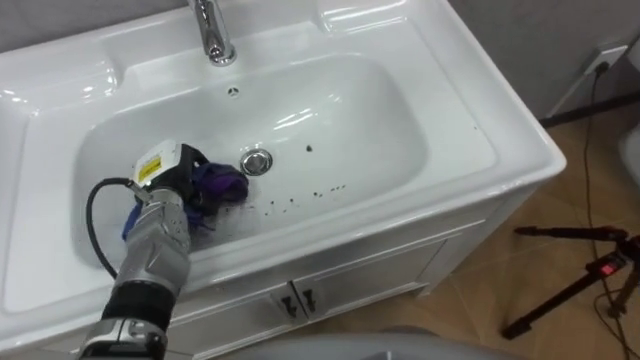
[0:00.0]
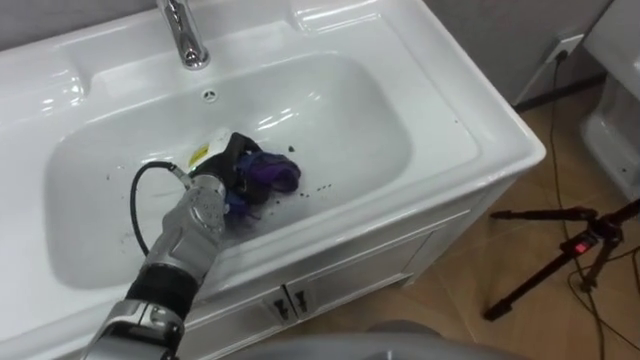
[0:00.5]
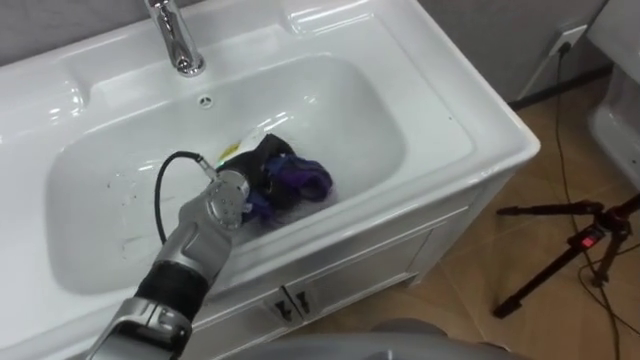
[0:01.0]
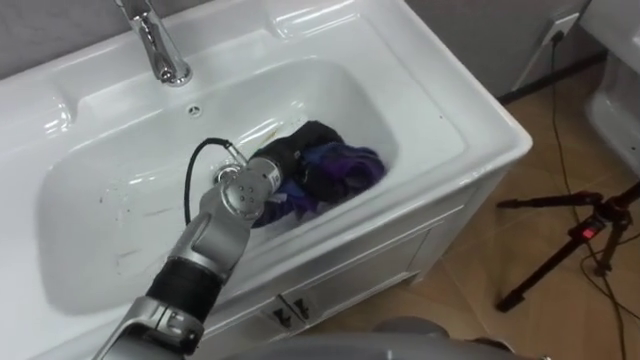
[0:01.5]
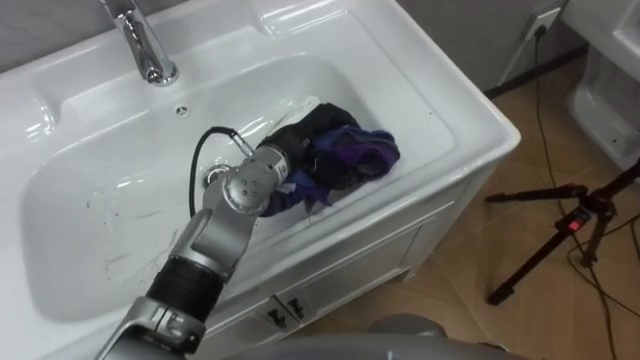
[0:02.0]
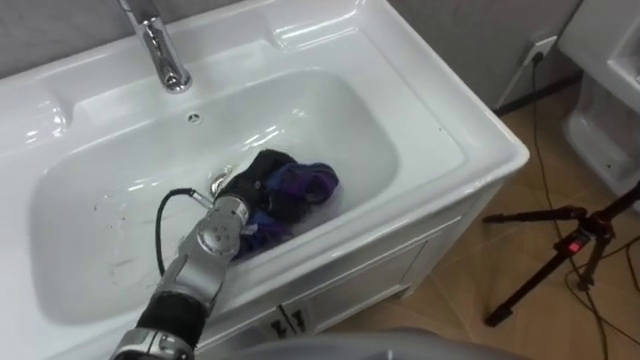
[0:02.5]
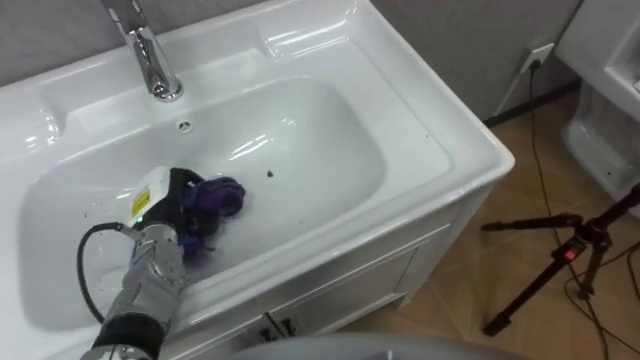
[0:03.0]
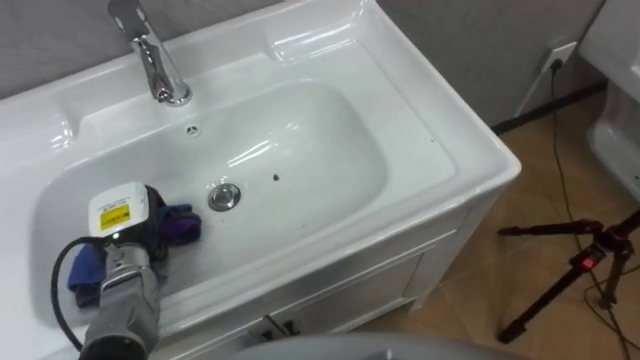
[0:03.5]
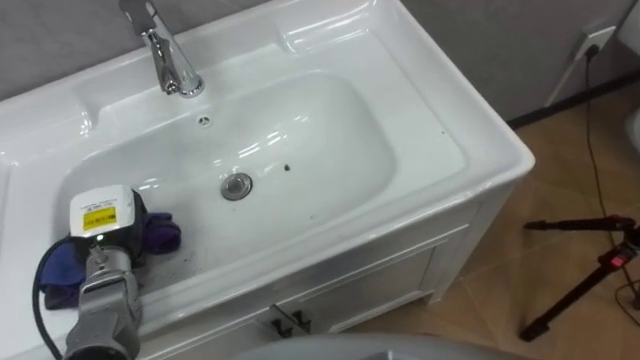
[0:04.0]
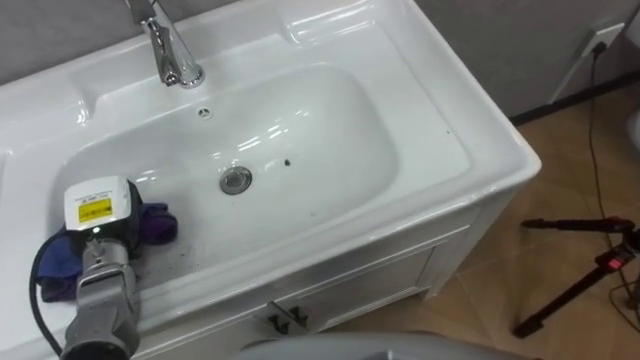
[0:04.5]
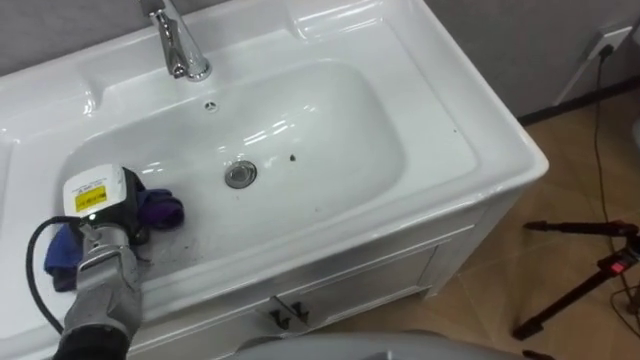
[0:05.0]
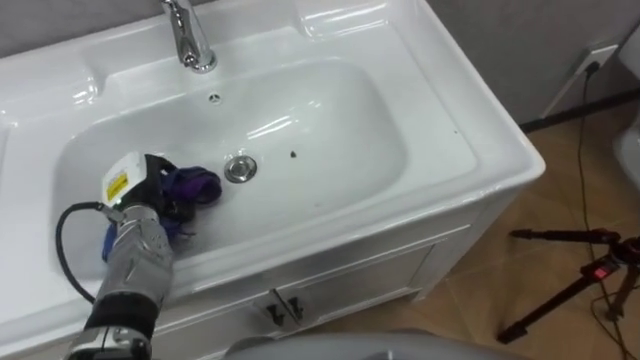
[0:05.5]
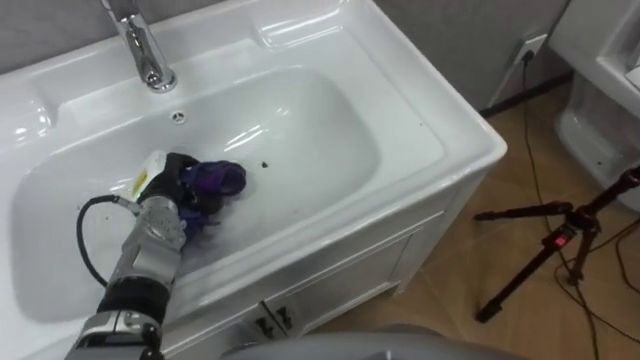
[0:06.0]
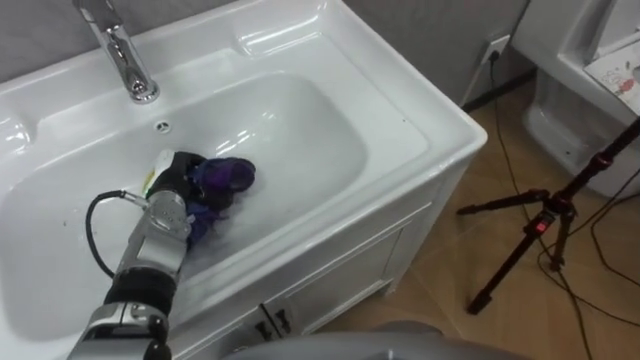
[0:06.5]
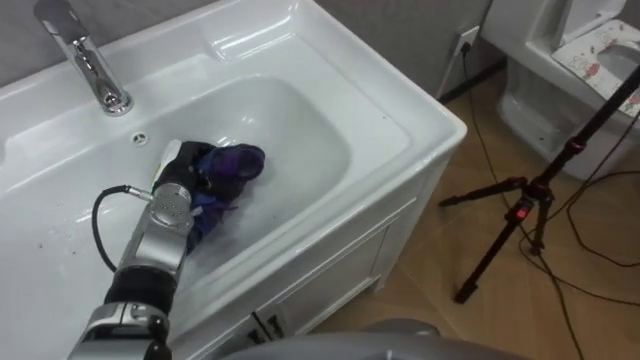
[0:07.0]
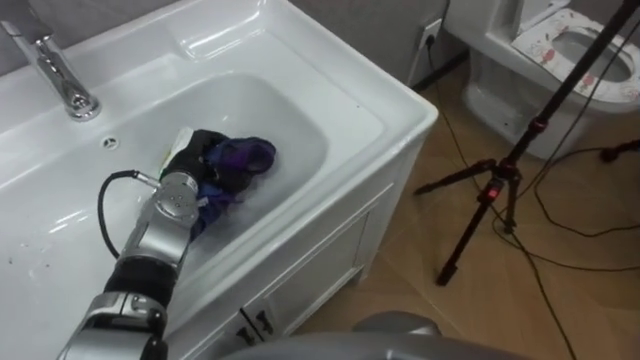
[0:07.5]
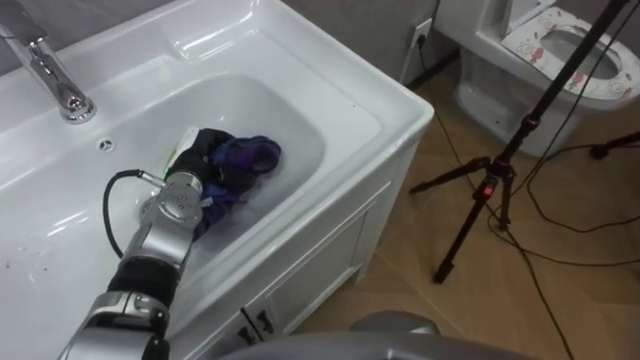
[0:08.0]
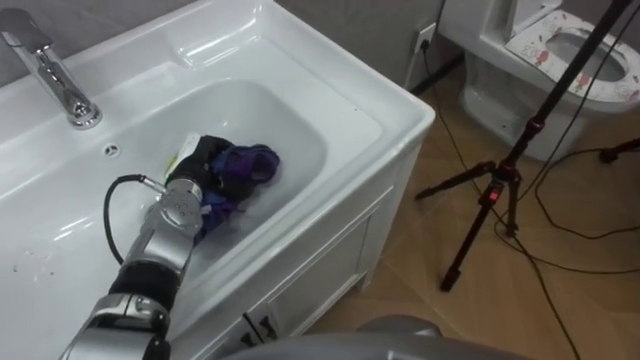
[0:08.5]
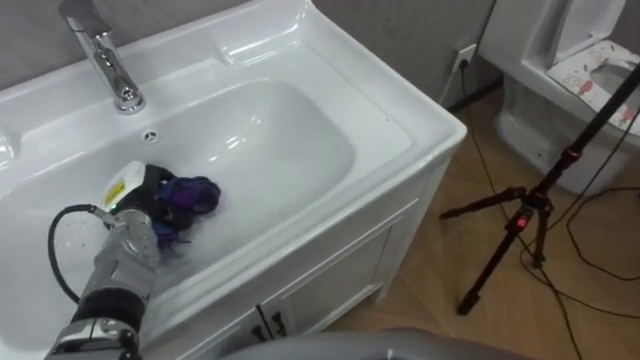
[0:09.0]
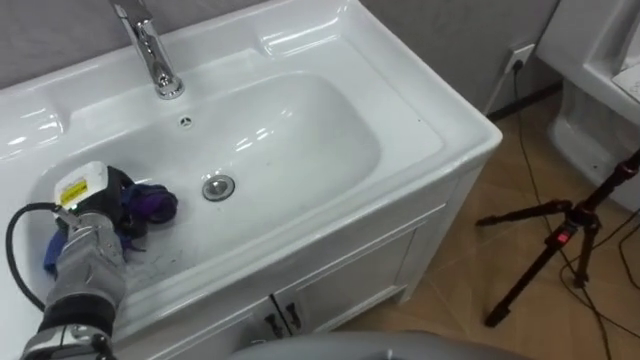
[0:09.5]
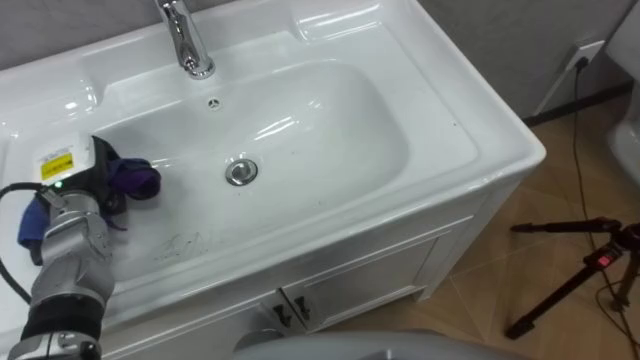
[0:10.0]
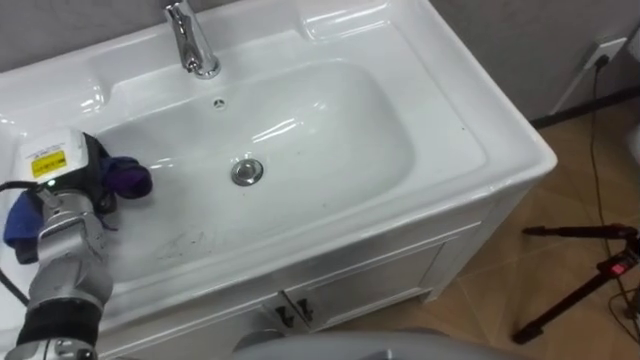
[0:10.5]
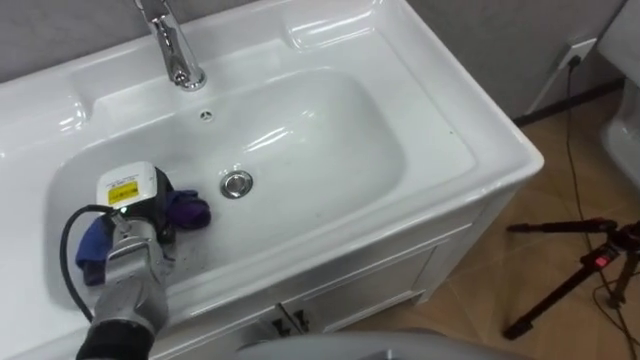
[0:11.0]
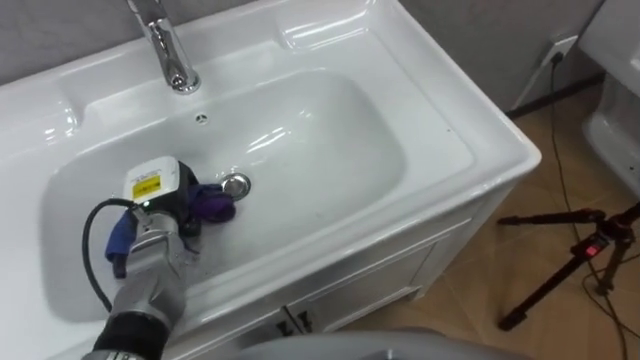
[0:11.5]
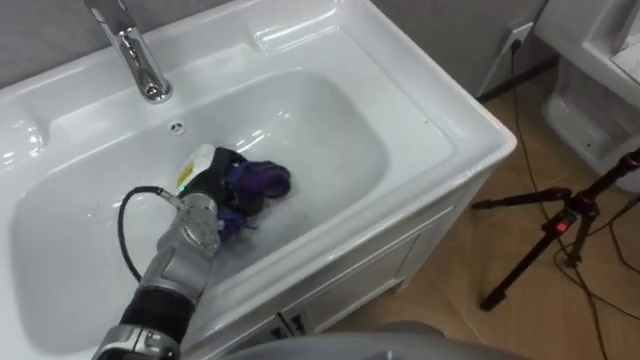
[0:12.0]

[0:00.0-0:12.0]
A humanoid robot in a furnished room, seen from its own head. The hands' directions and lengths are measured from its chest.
Task of the whole recording: Use the cloth on the right to wipe away the black stain in the sink.
0:00.0 to 0:02.0: The left hand travels to the right and upward by about 20 cm.
0:02.0 to 0:04.0: The left hand heads to the left, covering about 25 cm.
0:04.0 to 0:06.0: The left hand heads forward and to the right, covering some 10 cm.
0:06.0 to 0:08.0: The left hand ends up roughly 5 cm from where it was.
0:08.0 to 0:10.0: The left hand heads to the left, covering about 15 cm.
0:10.0 to 0:12.0: The left hand moves to the right, some 15 cm.

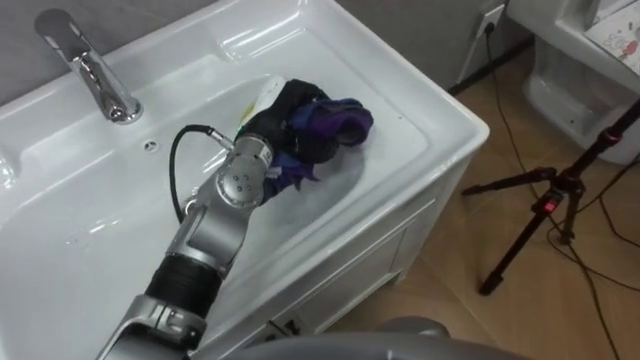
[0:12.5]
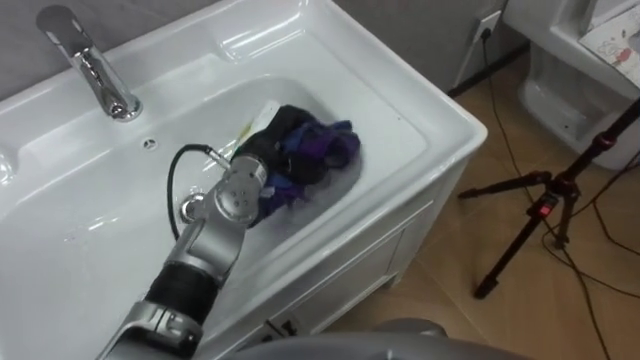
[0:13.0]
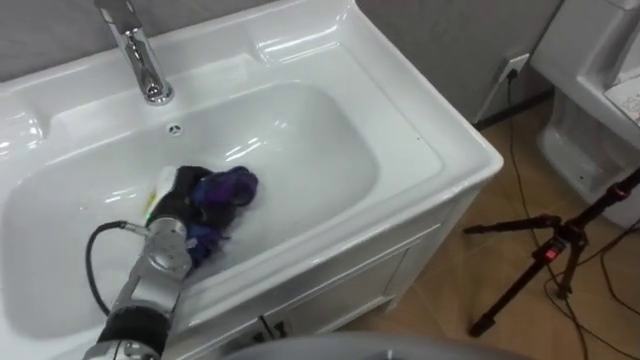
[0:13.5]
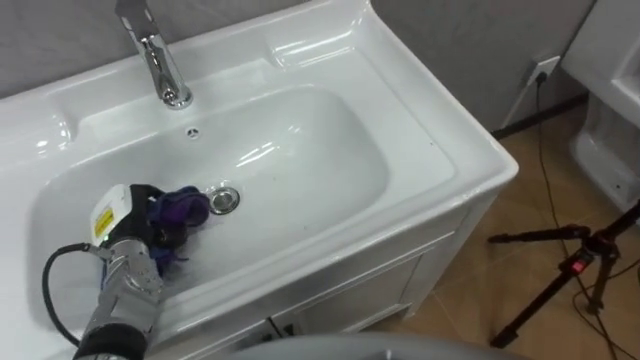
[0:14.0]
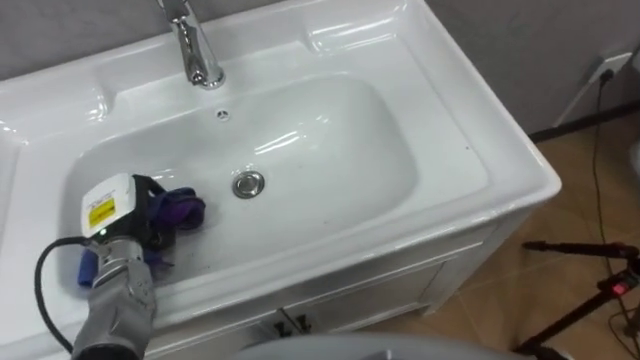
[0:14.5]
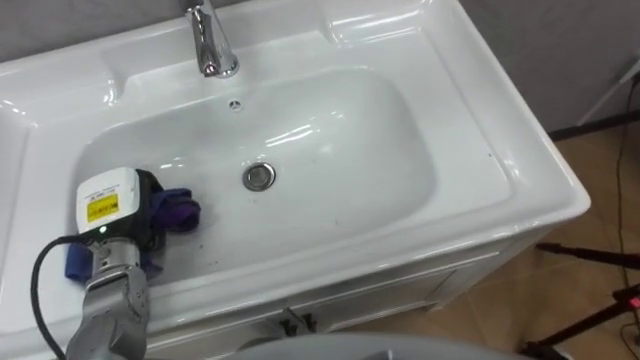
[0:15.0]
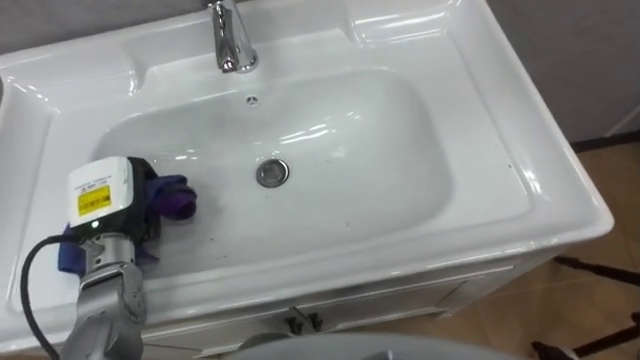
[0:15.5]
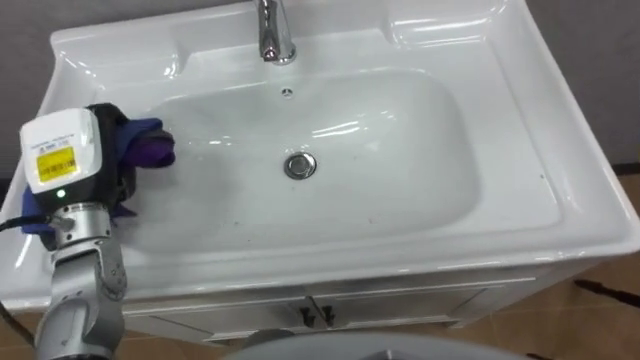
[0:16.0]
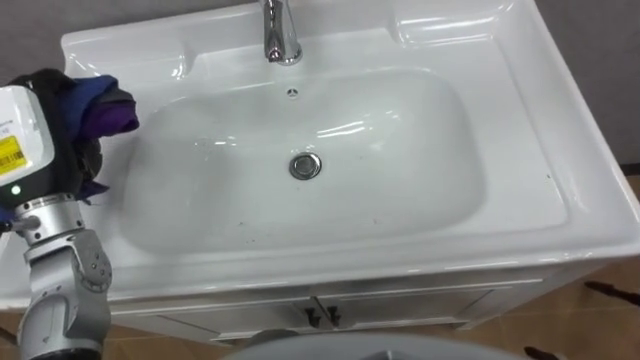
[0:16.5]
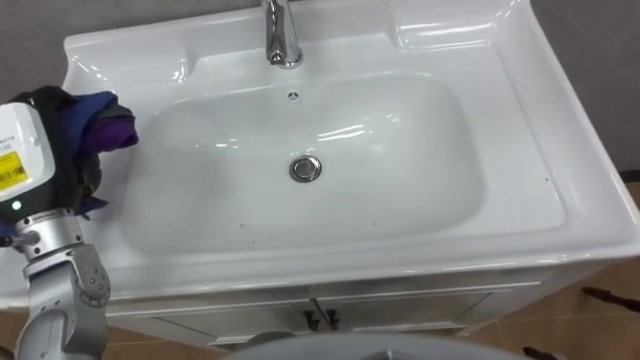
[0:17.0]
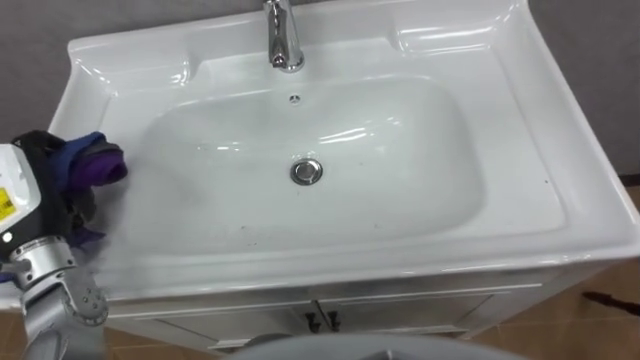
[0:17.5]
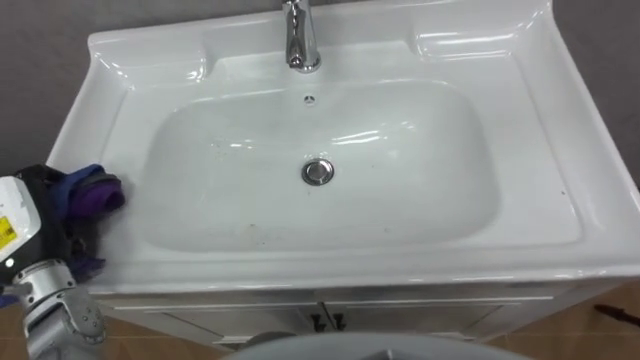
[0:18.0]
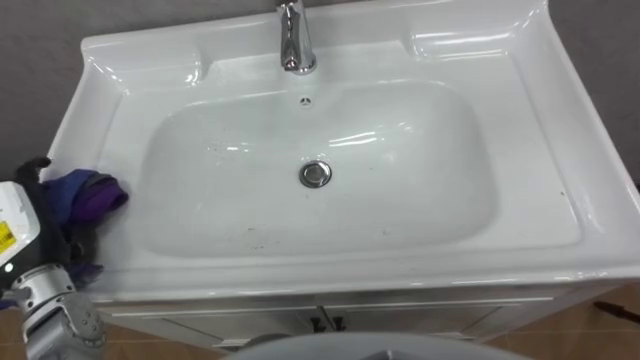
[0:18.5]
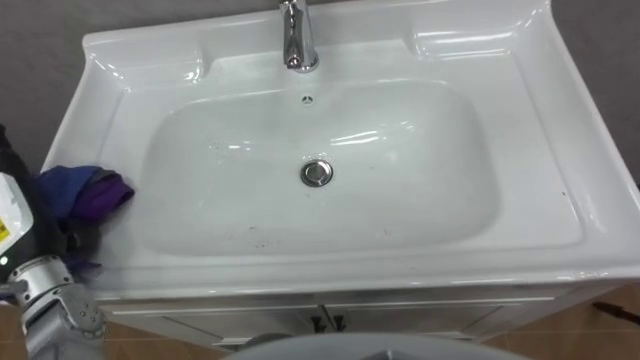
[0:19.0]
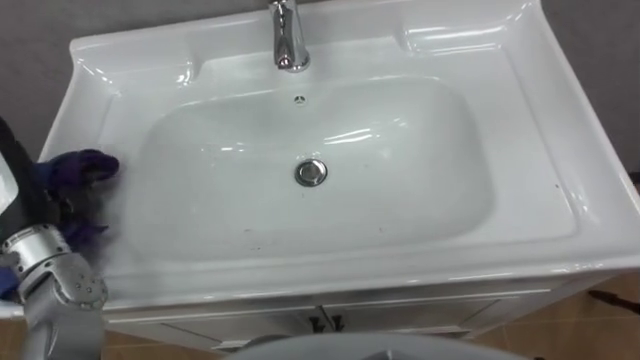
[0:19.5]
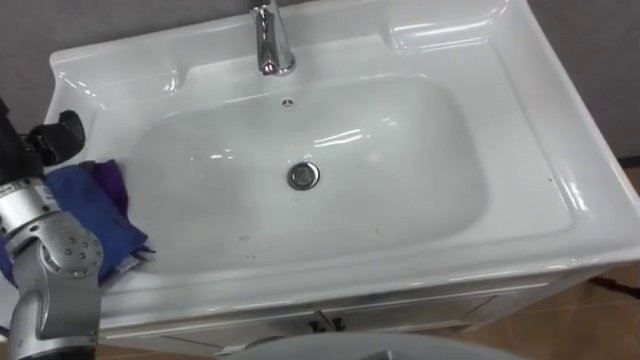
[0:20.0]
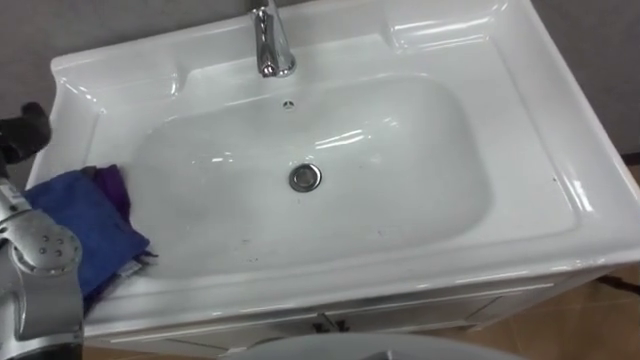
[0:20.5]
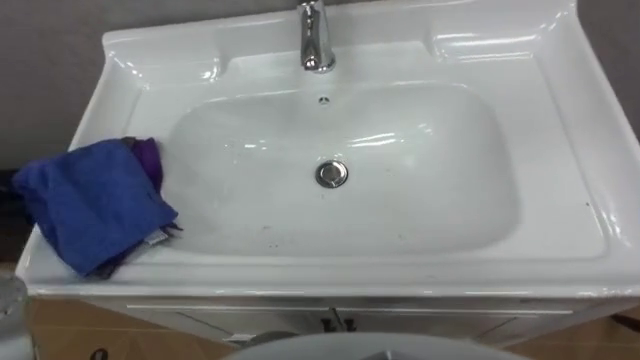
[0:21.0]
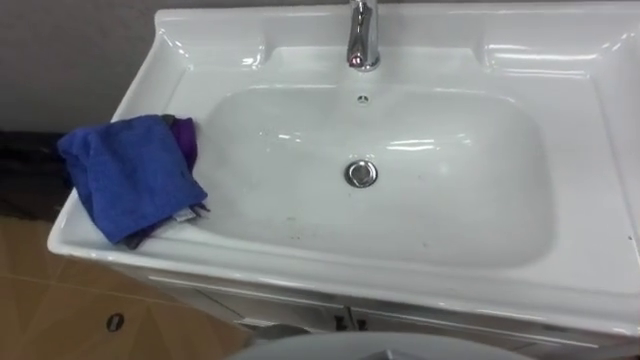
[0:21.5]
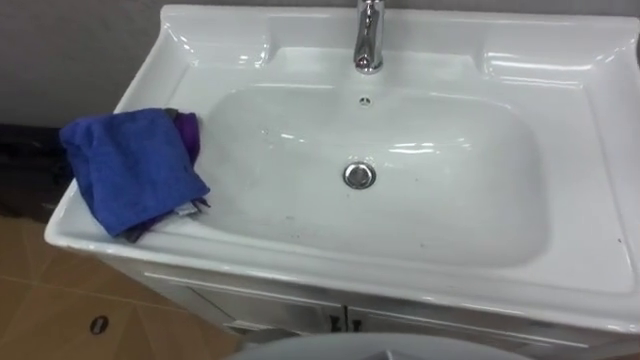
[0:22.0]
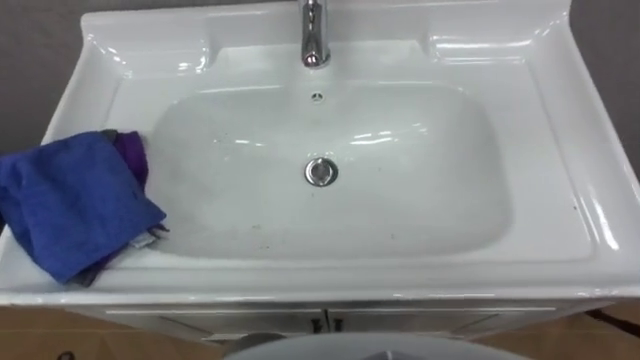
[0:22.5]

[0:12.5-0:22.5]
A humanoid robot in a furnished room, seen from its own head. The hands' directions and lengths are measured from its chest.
Task of the whole recording: Use the cloth on the right to wipe away the black stain in the sink.
0:12.5 to 0:14.5: The left hand goes roughly 25 cm to the left, backward and downward.
0:14.5 to 0:16.5: The left hand heads upward, covering some 15 cm.
0:16.5 to 0:18.5: The left hand shifts some 10 cm downward and backward, and opens.
